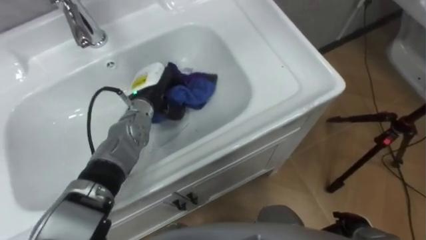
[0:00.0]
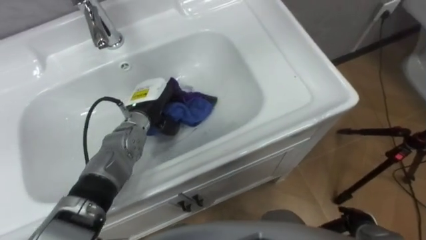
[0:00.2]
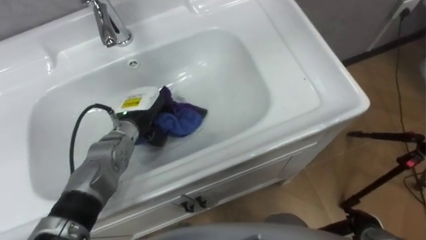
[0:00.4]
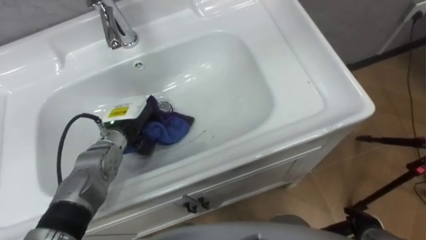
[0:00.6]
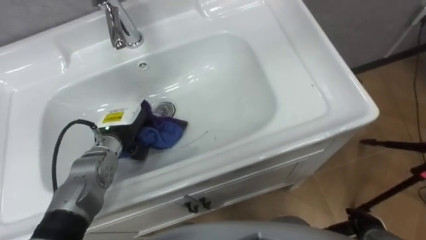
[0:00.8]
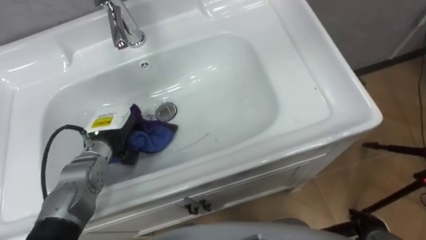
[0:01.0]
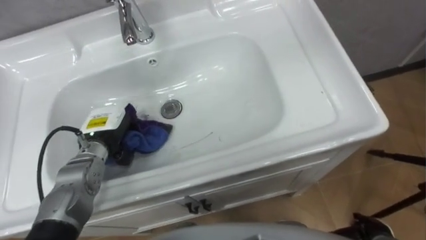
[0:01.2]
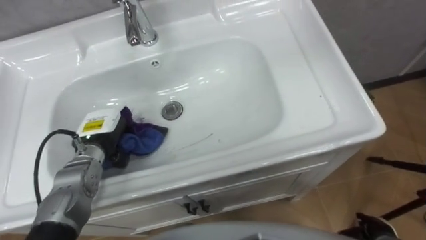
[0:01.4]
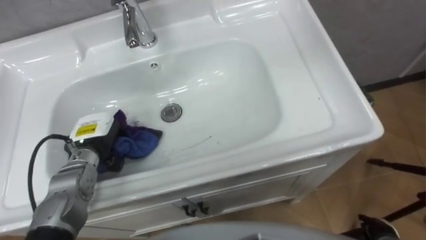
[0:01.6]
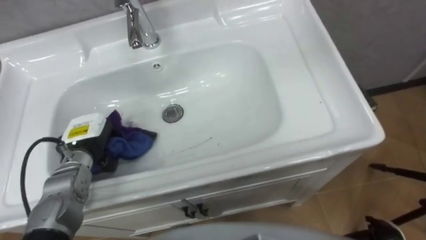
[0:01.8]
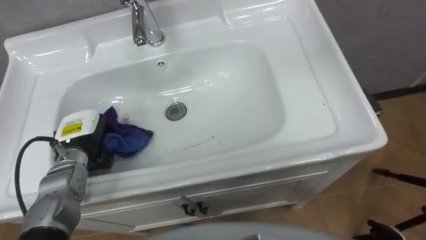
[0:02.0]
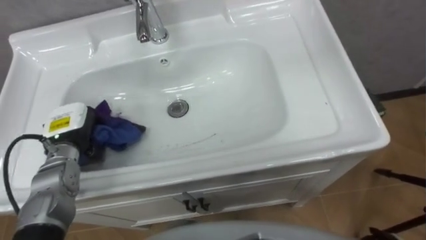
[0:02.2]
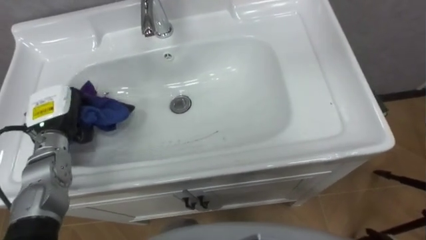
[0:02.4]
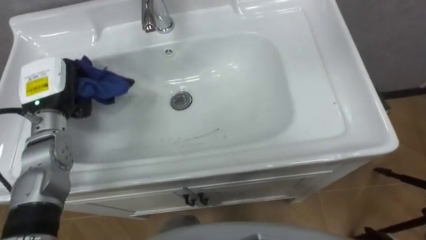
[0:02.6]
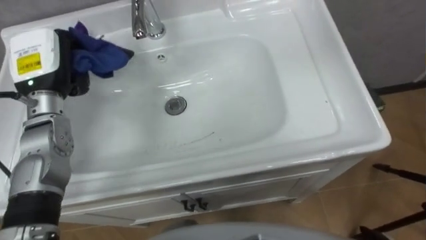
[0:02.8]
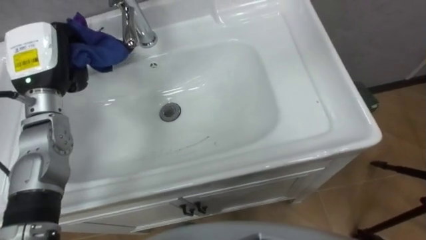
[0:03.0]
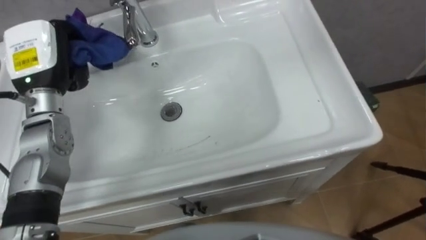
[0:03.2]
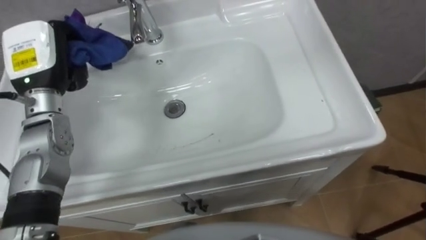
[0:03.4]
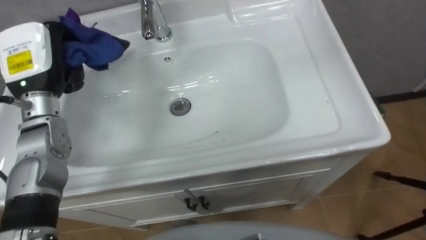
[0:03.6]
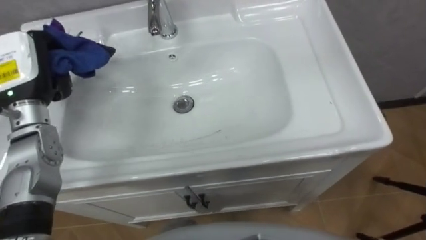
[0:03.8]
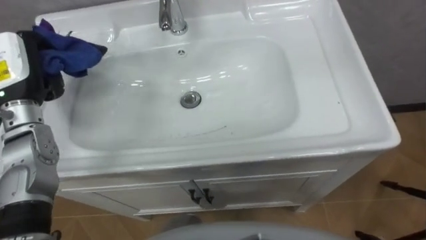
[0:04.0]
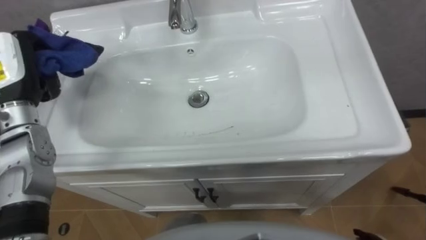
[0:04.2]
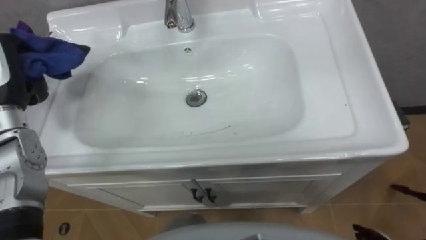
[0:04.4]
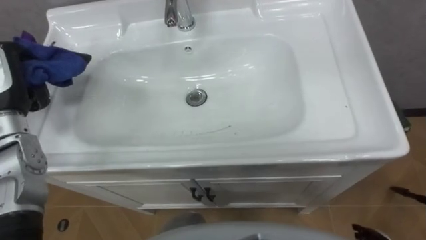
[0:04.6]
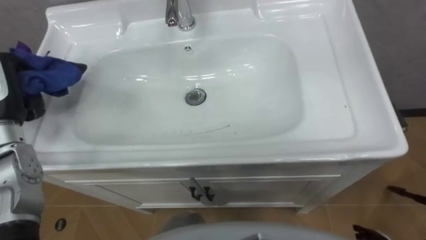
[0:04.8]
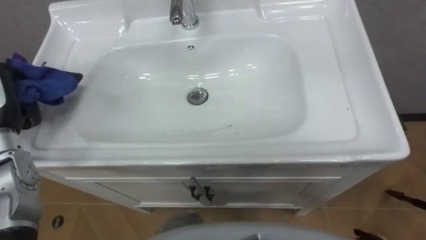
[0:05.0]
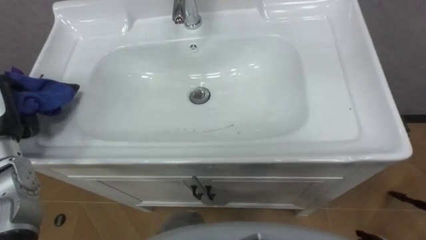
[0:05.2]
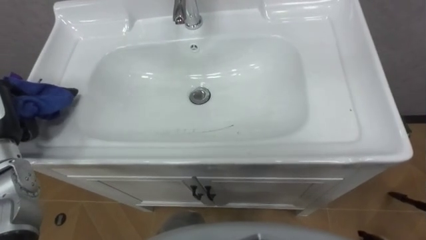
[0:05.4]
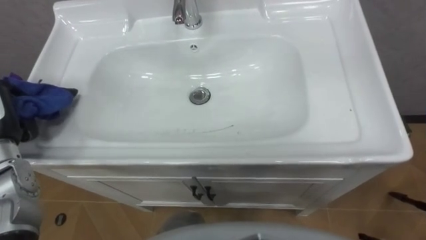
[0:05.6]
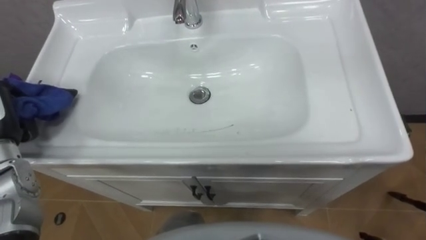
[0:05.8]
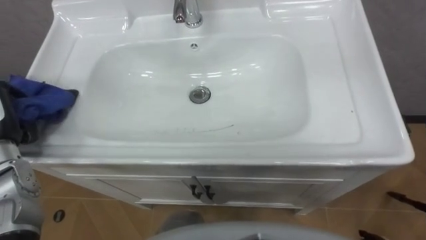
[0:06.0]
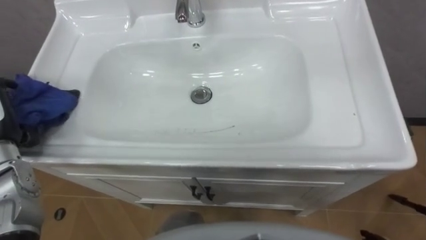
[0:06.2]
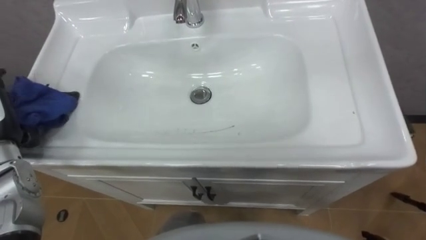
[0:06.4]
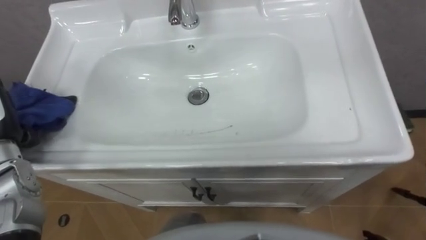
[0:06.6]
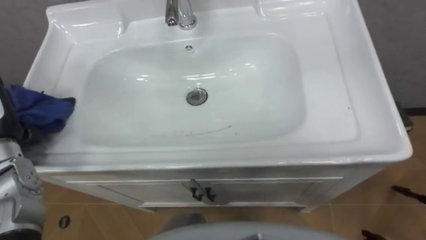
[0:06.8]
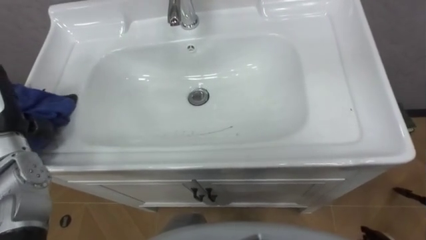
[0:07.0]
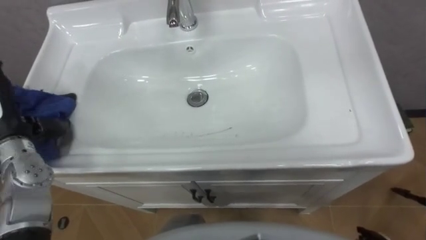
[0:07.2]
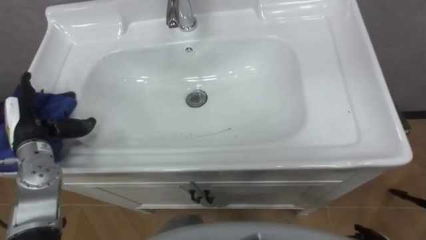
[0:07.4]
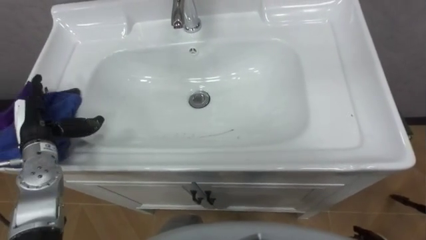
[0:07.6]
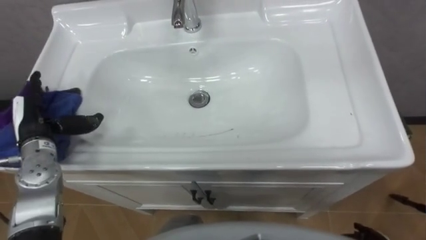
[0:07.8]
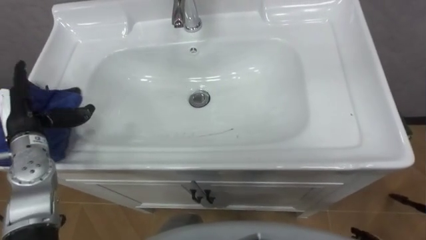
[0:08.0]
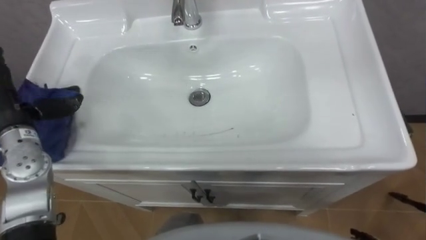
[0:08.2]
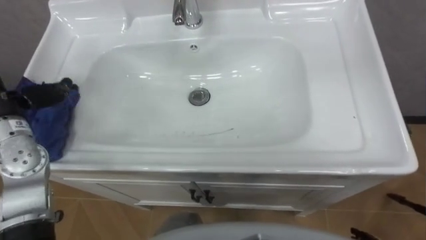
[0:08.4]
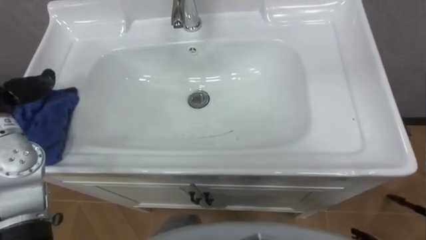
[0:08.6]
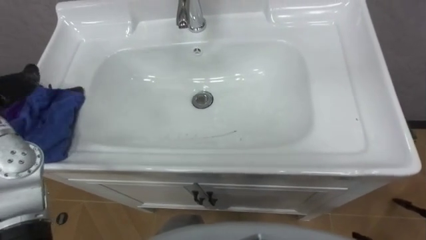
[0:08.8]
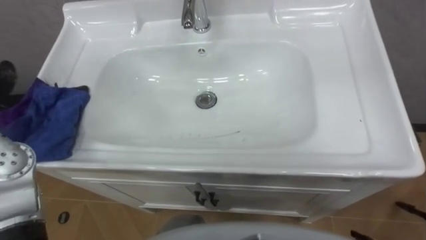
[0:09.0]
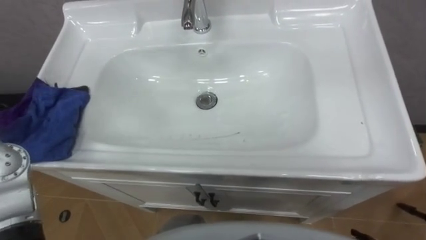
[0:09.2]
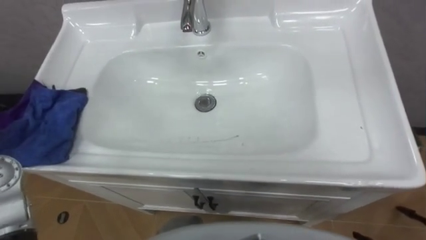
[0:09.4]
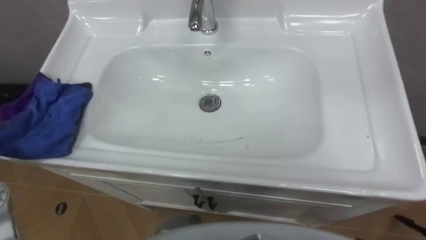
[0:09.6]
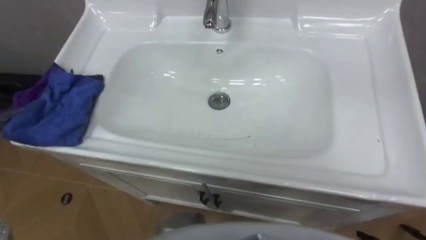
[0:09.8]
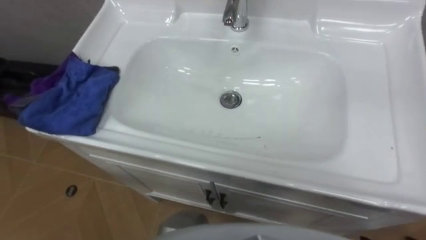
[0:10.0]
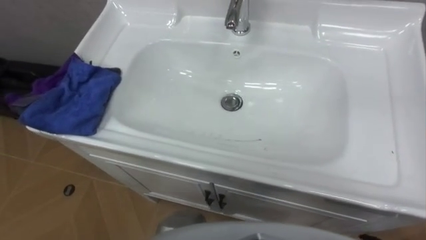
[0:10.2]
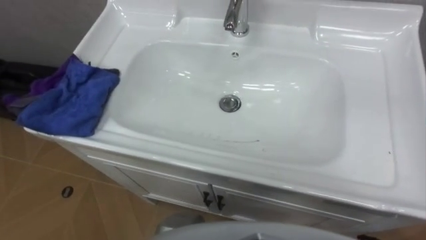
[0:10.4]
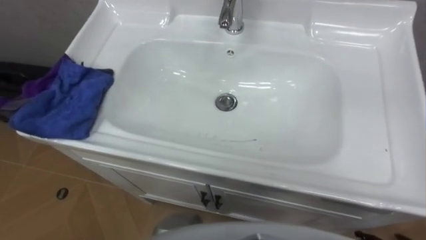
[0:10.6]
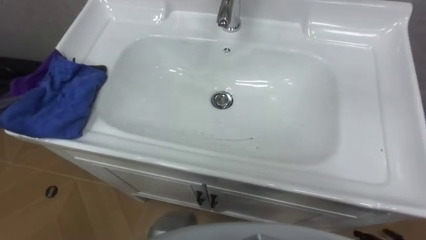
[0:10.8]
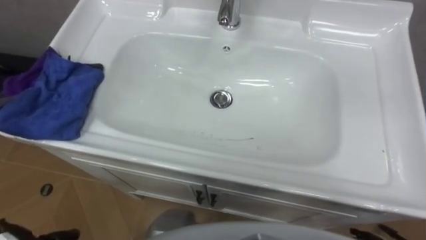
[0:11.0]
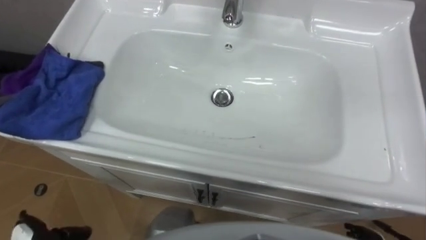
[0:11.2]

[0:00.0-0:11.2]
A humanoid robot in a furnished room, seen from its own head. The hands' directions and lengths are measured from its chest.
Task of the whole recording: Use the cloth on the right to wipe away the black stain in the sink.
0:00.0 to 0:01.6: The left hand is displaced to the left and backward by about 15 cm.
0:01.6 to 0:03.2: The left hand travels upward and forward by about 20 cm.

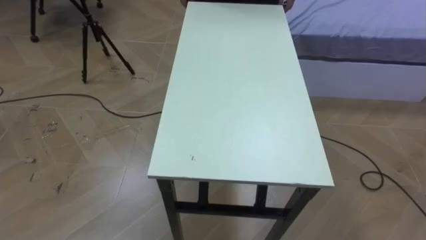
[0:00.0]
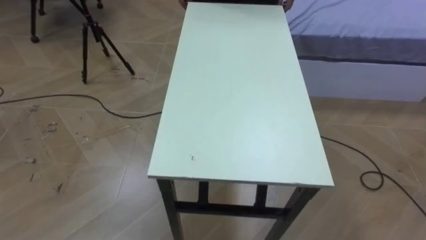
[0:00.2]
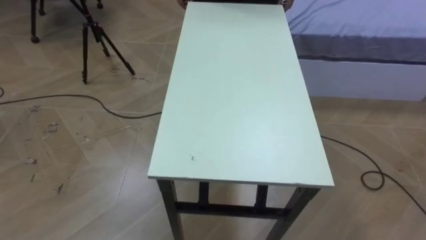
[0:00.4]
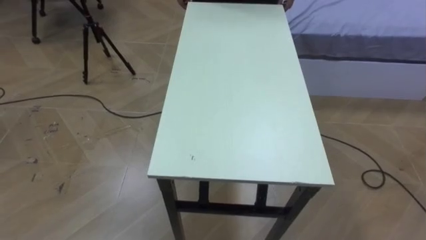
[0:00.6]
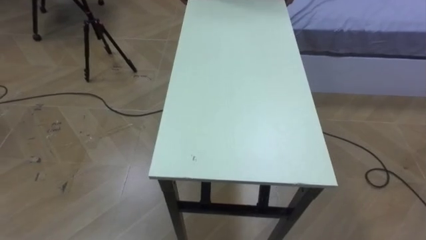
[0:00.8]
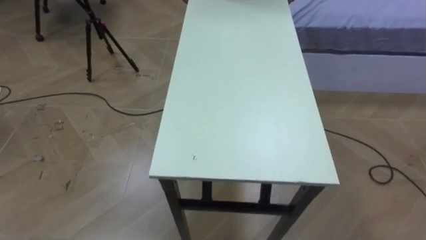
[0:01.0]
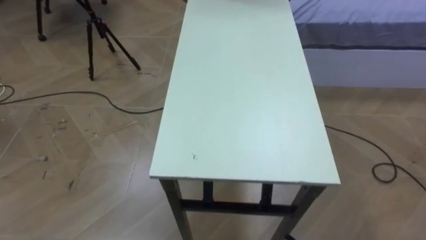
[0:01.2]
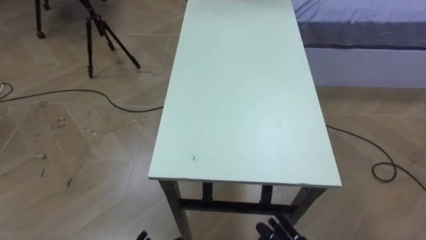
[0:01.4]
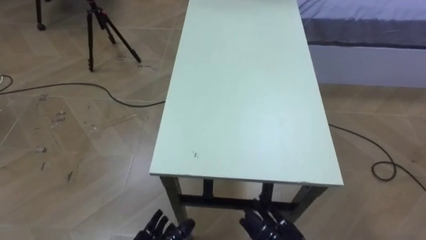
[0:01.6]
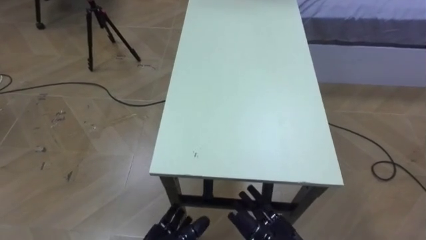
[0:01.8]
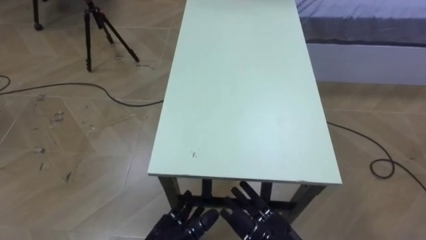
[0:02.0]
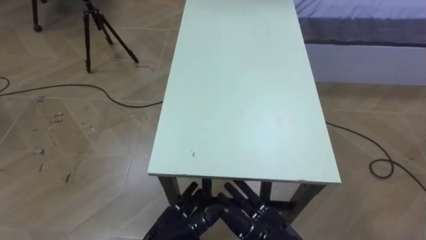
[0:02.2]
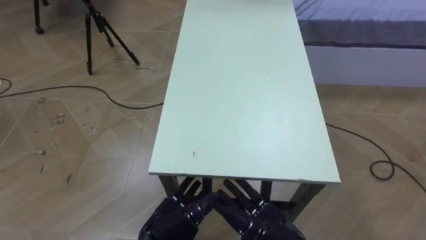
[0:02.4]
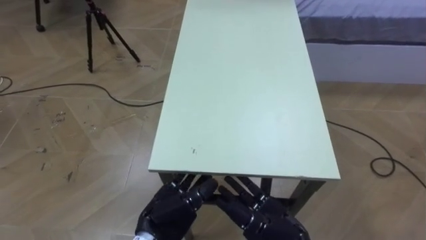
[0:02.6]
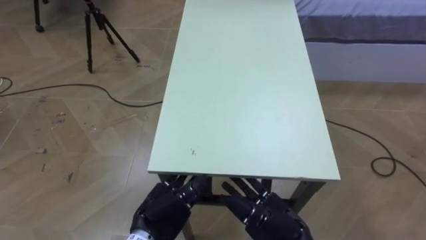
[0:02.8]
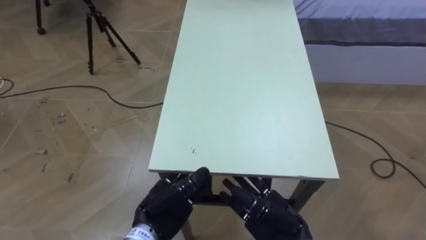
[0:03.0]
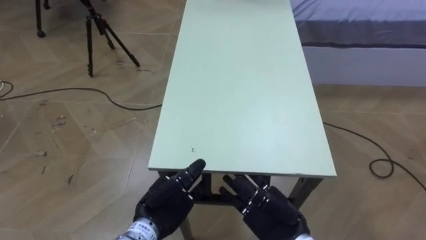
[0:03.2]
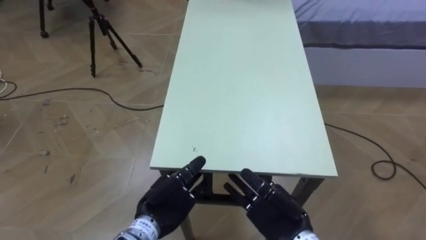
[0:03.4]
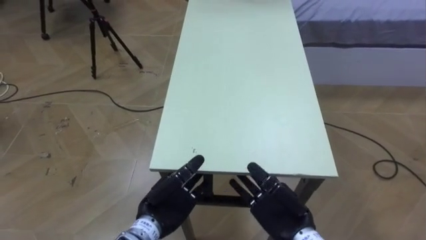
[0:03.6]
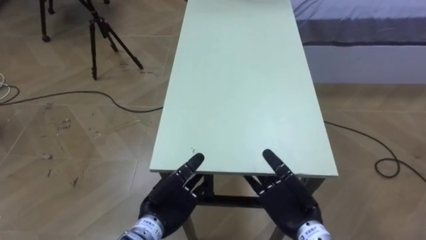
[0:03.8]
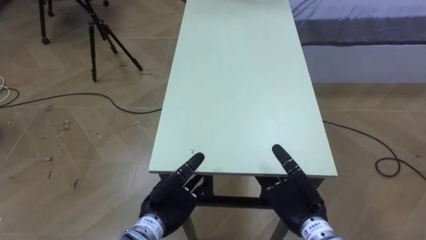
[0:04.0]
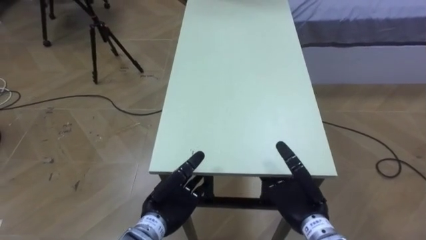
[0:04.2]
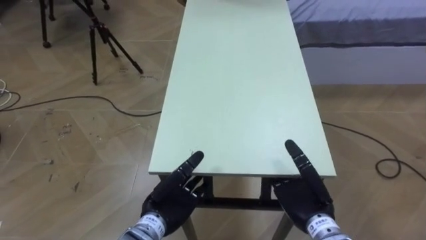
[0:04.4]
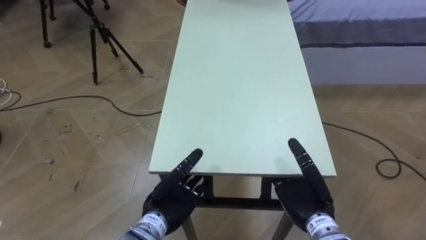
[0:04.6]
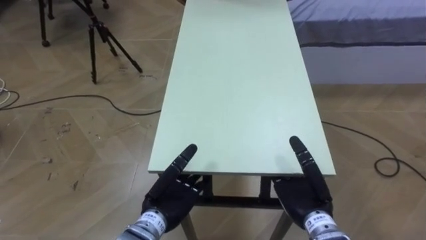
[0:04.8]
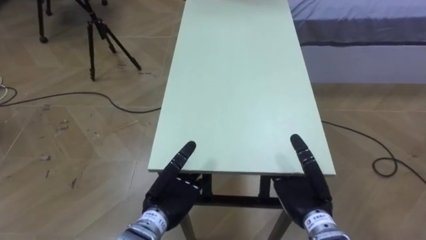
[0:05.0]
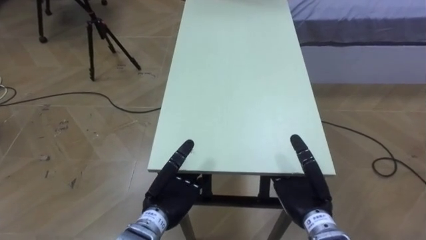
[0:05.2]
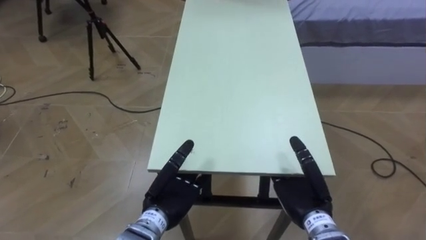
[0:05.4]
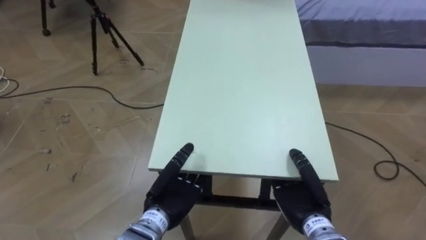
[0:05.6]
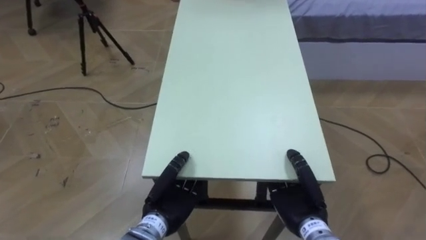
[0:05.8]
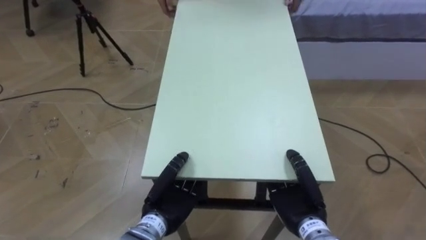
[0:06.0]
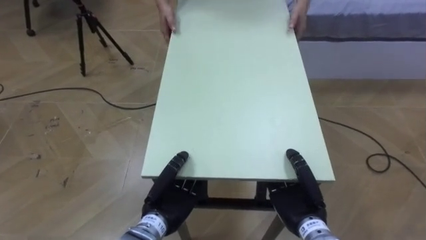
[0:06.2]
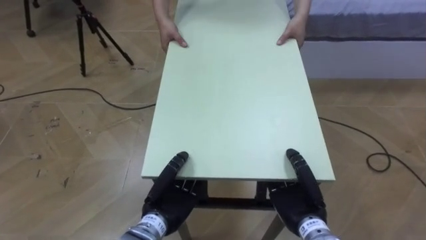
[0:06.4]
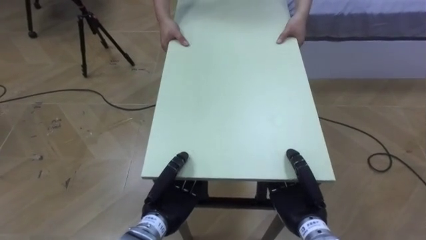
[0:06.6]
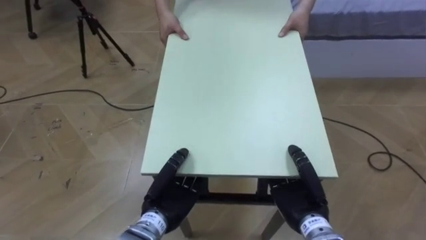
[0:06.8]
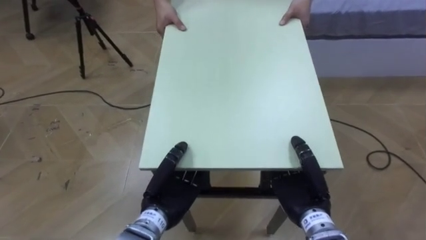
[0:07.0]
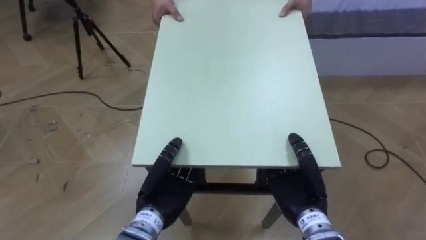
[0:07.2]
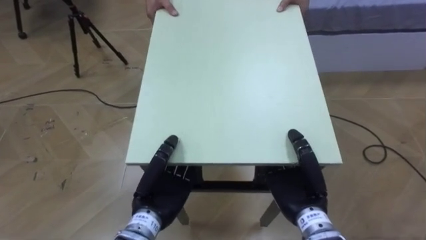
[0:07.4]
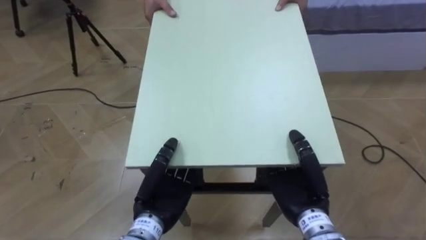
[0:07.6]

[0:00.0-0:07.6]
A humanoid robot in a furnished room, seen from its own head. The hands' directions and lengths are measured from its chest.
Task of the whole recording: Move the table to the back left with someone.
0:03.0 to 0:04.6: The right hand travels to the right by about 5 cm.
0:04.6 to 0:06.0: The right hand closes up. The left hand closes up.
0:06.0 to 0:07.6: The right hand travels upward by approximately 5 cm.
